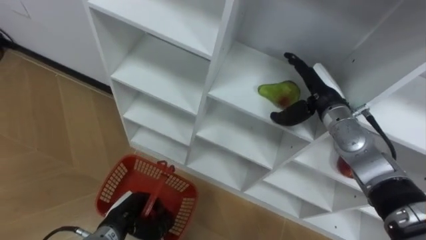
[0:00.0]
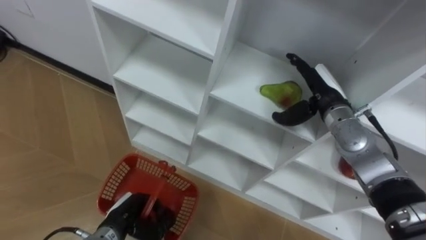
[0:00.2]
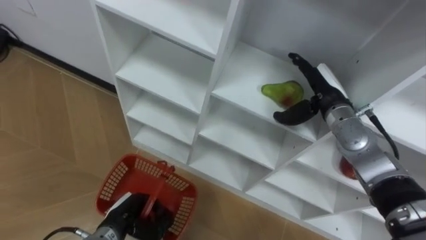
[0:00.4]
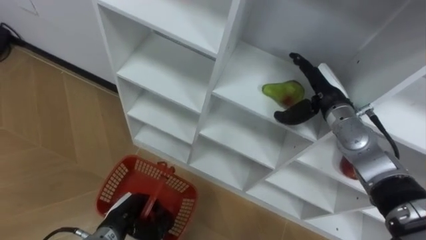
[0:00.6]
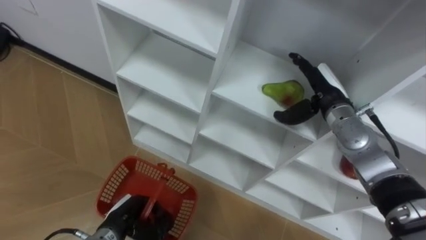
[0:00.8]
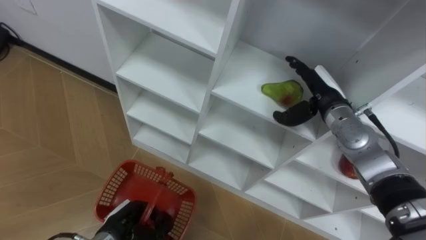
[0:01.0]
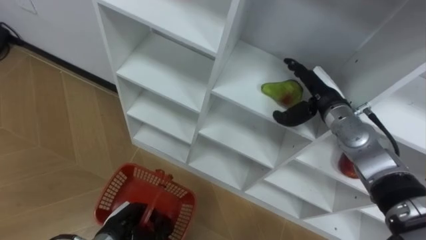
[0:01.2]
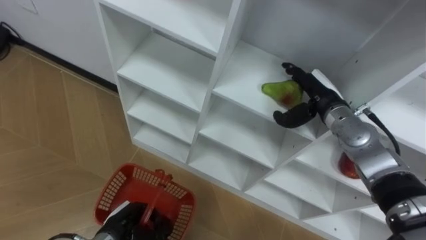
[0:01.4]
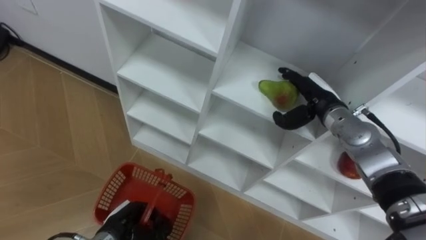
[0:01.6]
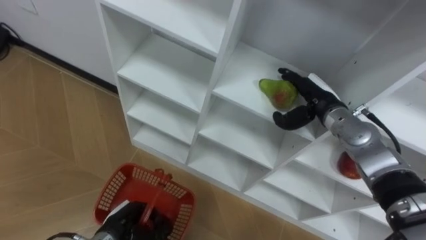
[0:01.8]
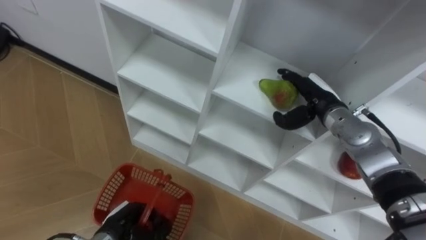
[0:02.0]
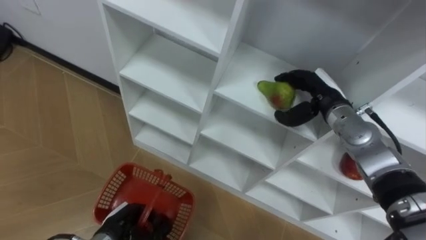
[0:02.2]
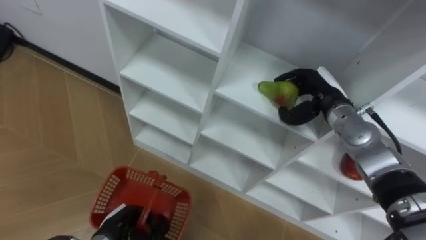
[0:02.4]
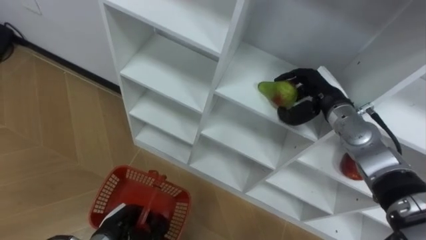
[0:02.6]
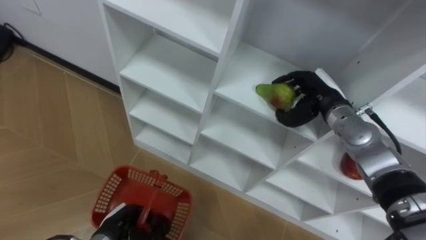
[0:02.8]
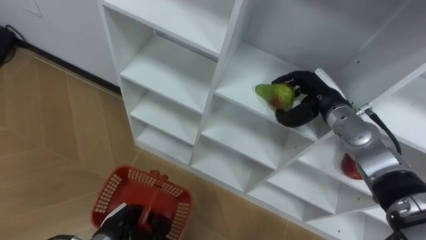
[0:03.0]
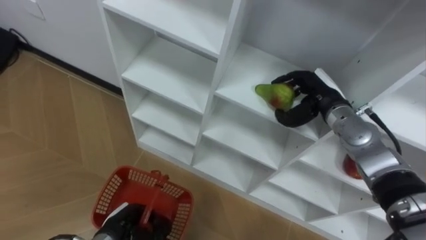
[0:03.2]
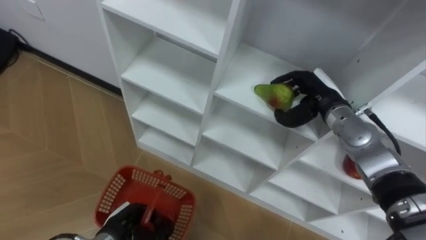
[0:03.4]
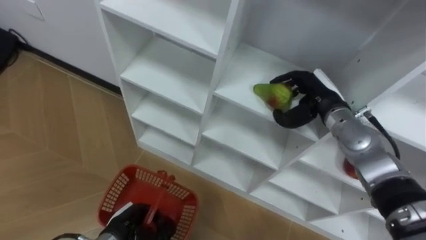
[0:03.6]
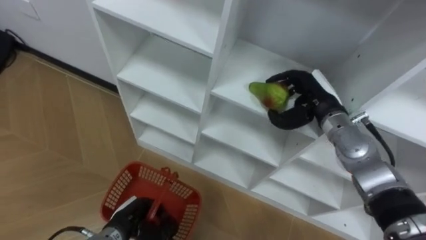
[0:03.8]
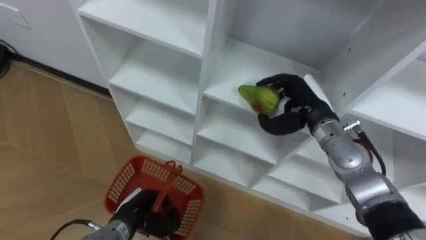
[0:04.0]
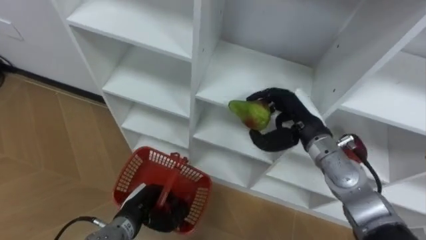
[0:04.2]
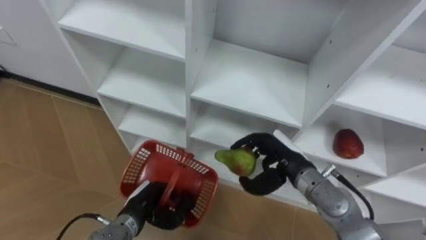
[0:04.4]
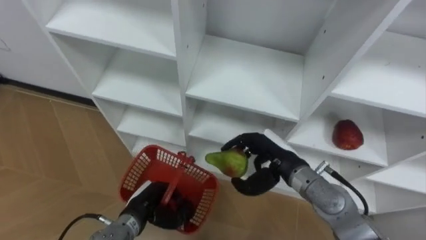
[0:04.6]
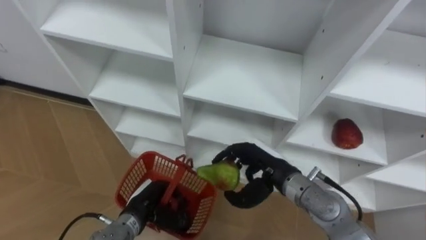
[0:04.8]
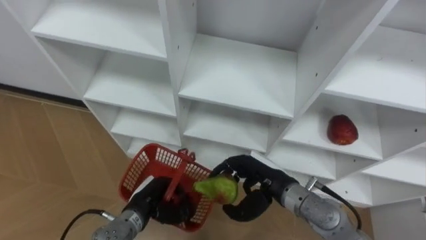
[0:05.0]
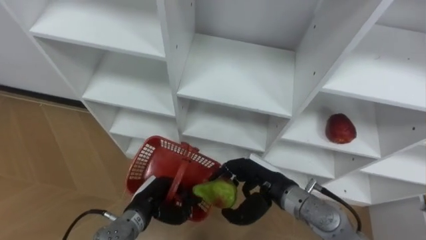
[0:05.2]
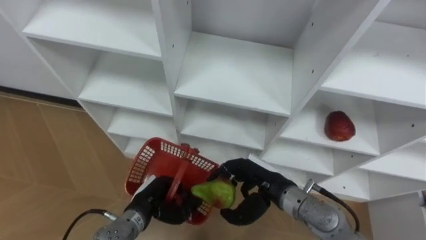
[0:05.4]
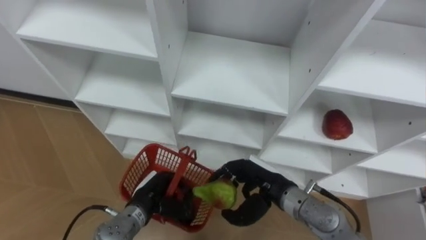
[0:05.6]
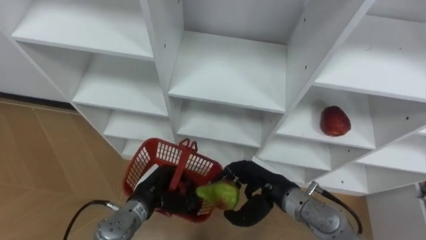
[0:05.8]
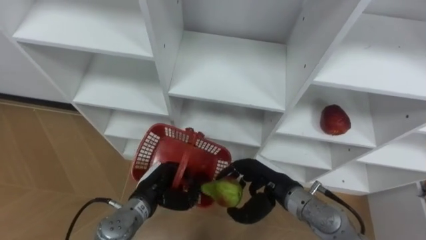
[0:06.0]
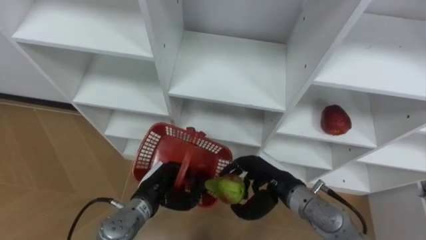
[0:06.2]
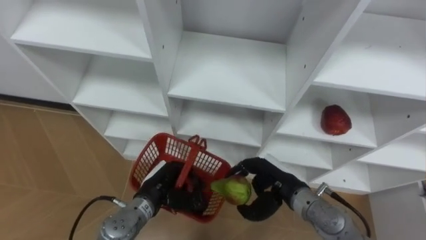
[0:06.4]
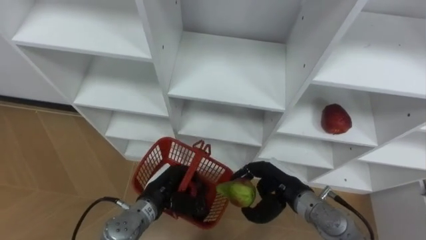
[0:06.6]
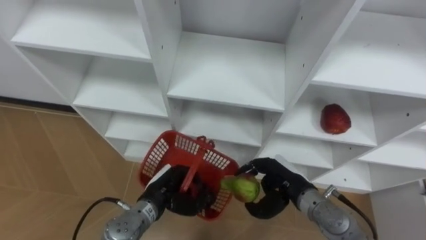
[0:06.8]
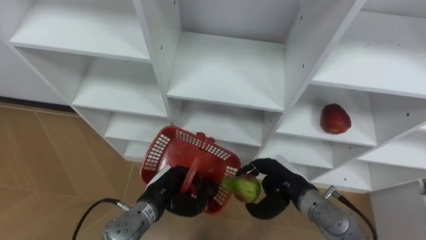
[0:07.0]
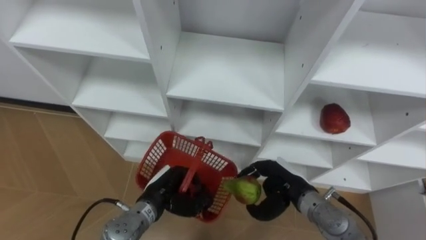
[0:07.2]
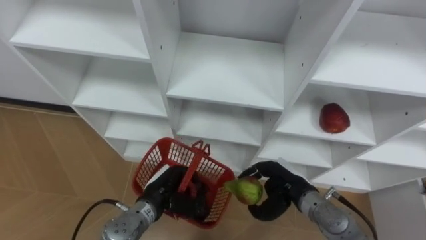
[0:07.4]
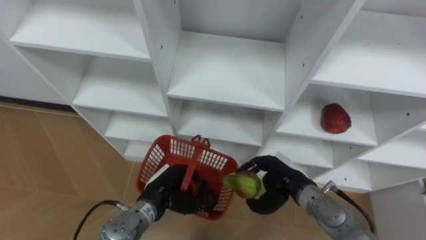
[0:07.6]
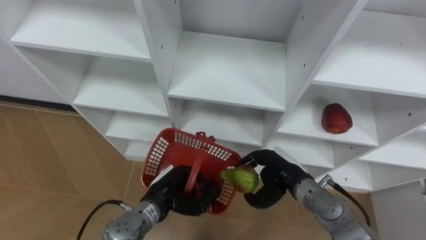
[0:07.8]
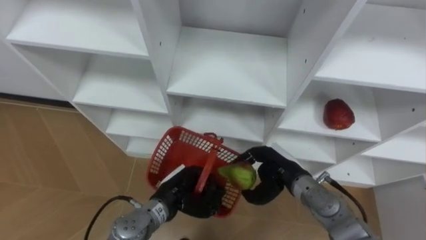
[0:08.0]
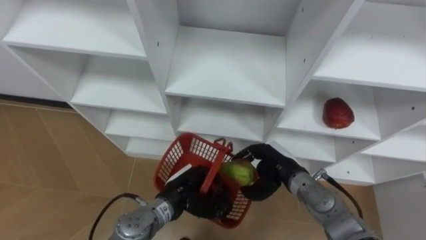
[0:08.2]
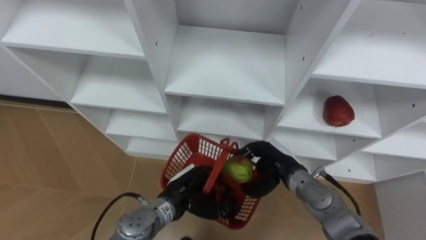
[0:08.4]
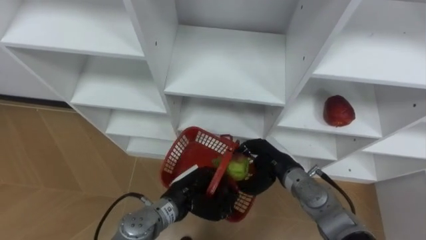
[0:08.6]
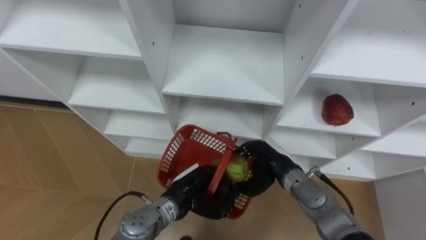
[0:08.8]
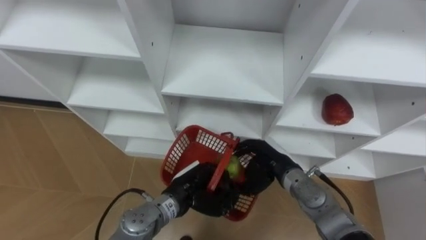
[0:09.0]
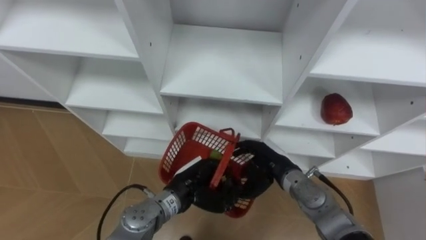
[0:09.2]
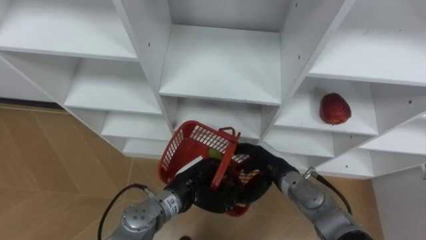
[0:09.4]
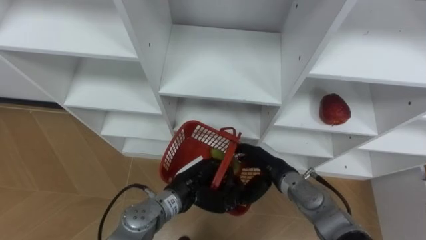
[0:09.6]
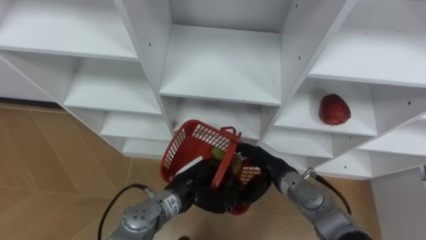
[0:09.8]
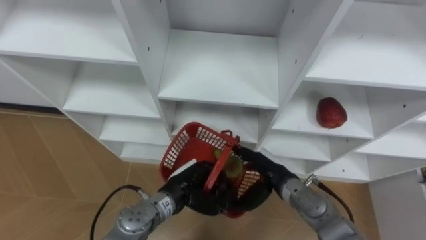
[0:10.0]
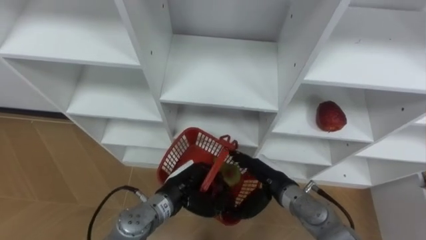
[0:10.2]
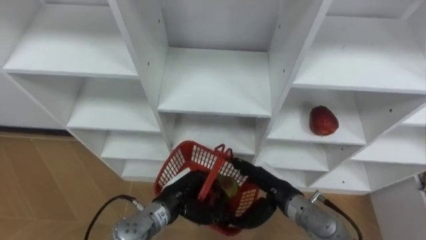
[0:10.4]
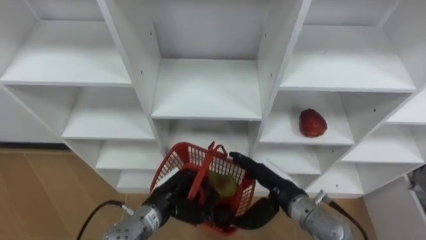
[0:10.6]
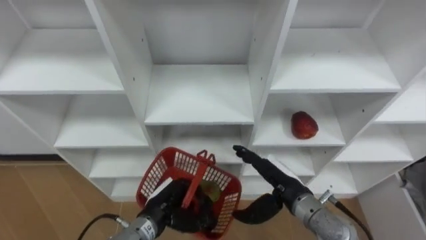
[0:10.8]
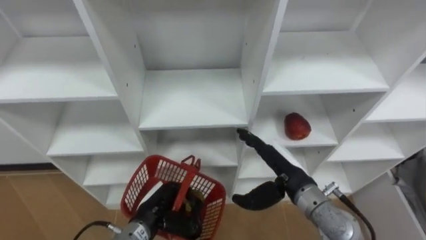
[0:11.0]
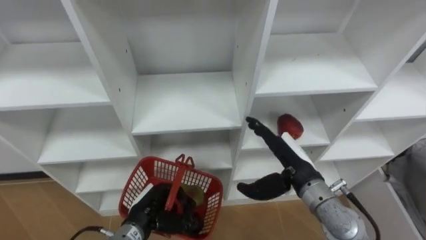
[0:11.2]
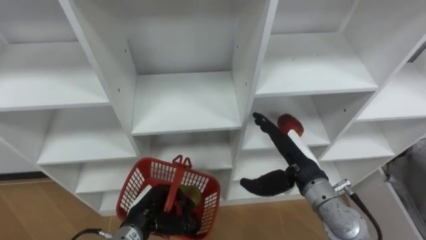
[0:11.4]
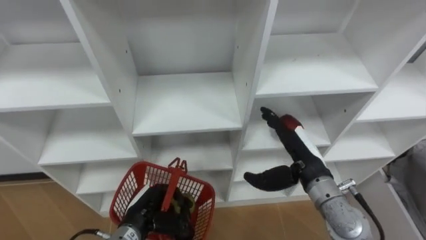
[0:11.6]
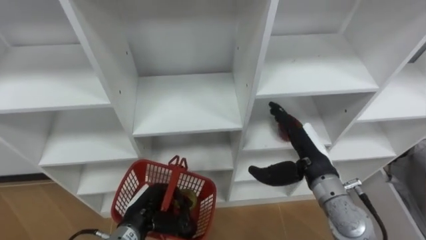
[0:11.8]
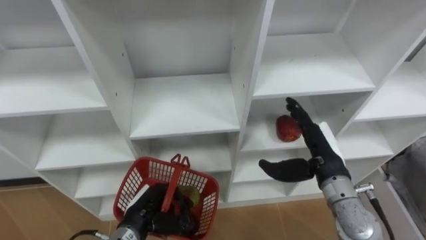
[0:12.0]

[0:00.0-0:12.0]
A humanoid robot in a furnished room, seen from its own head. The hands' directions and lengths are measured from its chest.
Task of the whole recording: Hold the basket and collect the fruits from 3 different cells of the closet into it.
0:01.6 to 0:03.0: The right hand closes.
0:03.0 to 0:04.4: The right hand is displaced backward and to the left by roughly 10 cm. Meanwhile the left hand shifts by some 5 cm.
0:04.4 to 0:06.0: The right hand shifts by about 5 cm. The left hand shifts by roughly 5 cm.
0:06.0 to 0:07.6: The hands move only a little.
0:07.6 to 0:09.0: The left hand goes approximately 5 cm to the right.
0:09.0 to 0:10.4: The right hand opens up.
0:10.4 to 0:12.0: The right hand travels upward and to the right by roughly 10 cm, while the left hand shifts about 5 cm to the left.

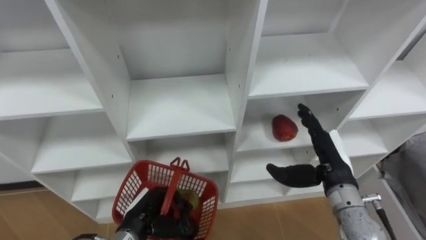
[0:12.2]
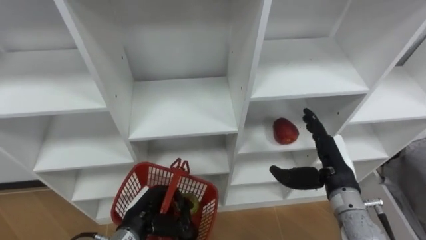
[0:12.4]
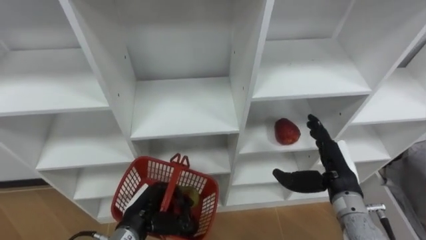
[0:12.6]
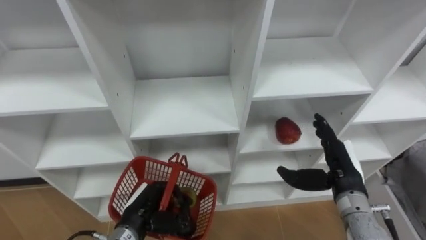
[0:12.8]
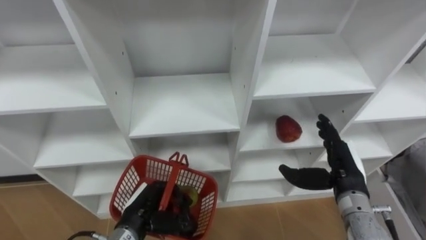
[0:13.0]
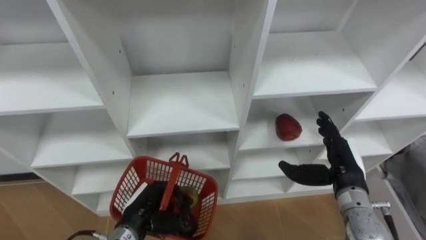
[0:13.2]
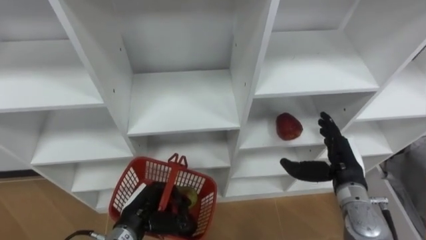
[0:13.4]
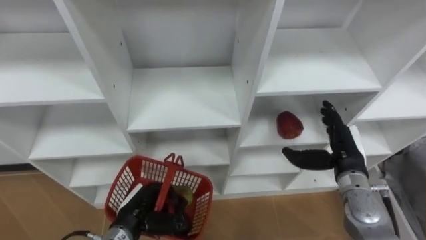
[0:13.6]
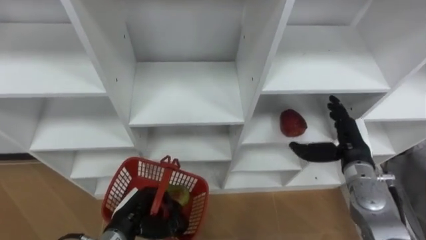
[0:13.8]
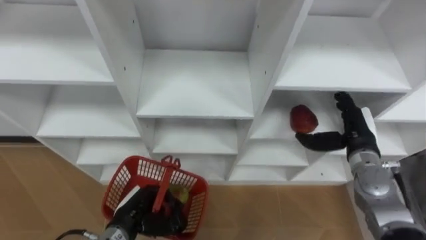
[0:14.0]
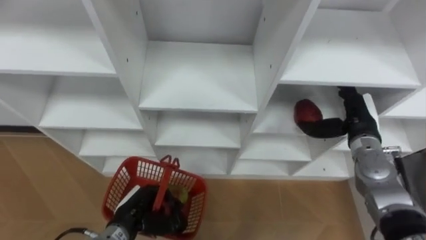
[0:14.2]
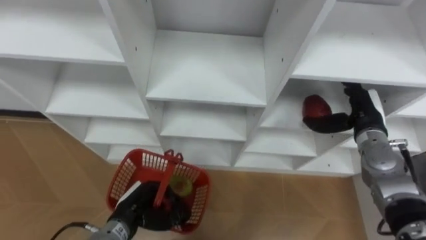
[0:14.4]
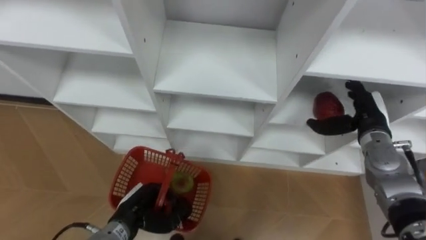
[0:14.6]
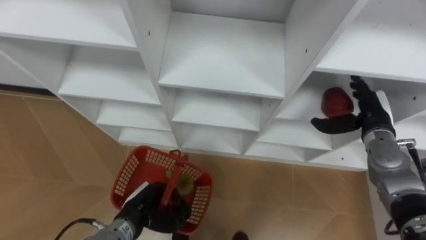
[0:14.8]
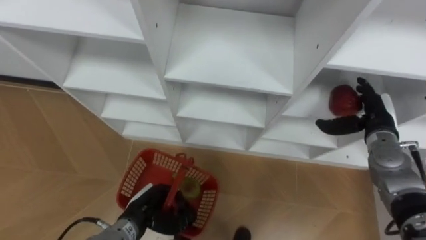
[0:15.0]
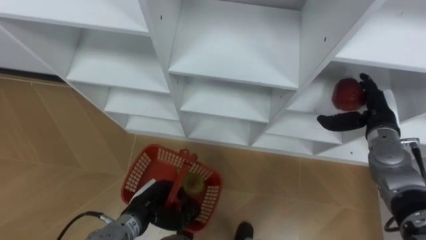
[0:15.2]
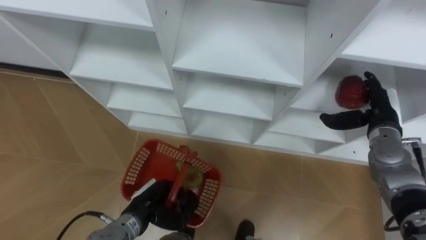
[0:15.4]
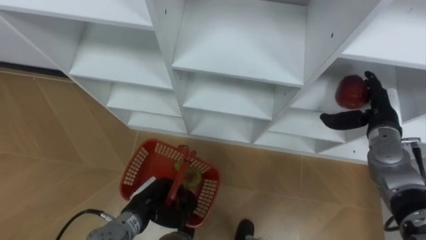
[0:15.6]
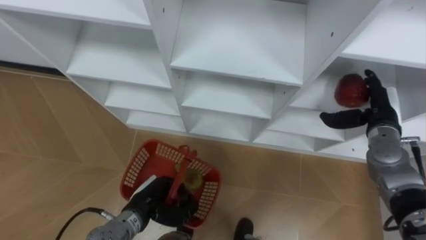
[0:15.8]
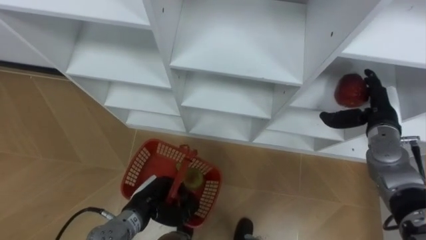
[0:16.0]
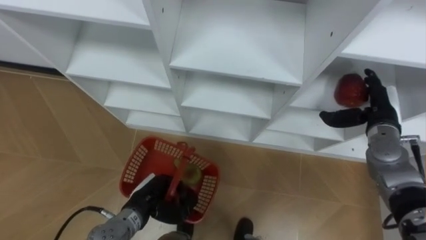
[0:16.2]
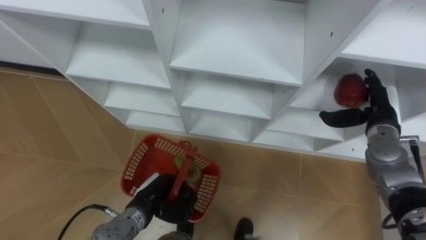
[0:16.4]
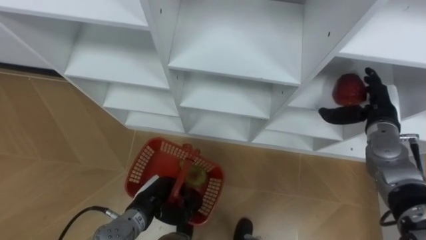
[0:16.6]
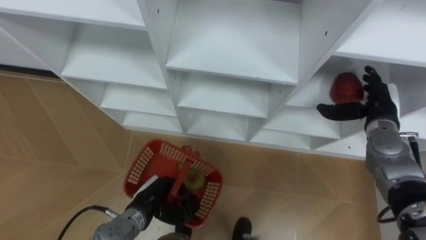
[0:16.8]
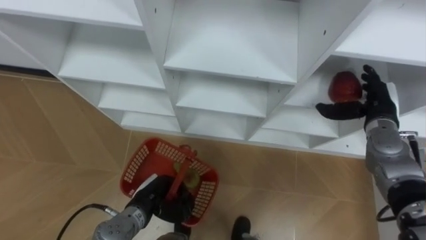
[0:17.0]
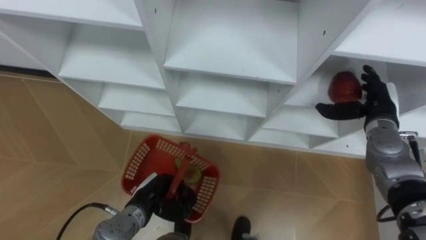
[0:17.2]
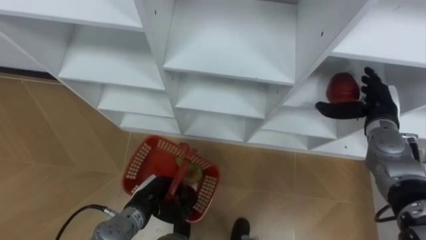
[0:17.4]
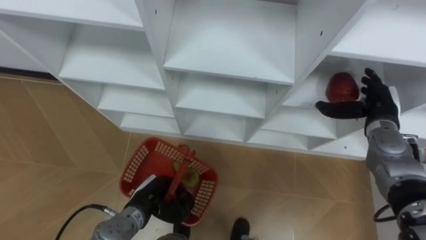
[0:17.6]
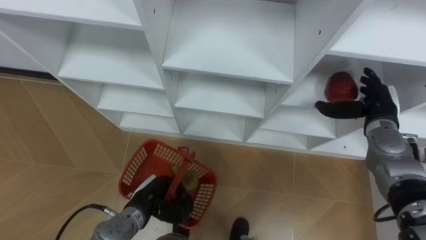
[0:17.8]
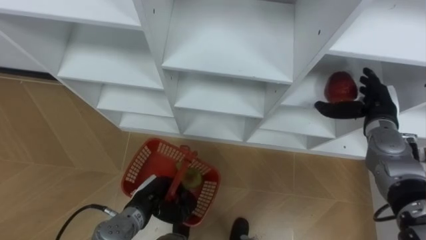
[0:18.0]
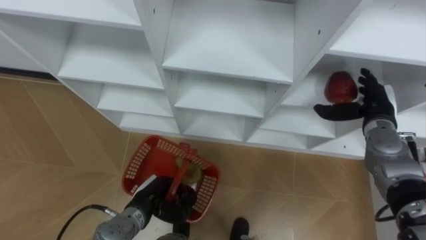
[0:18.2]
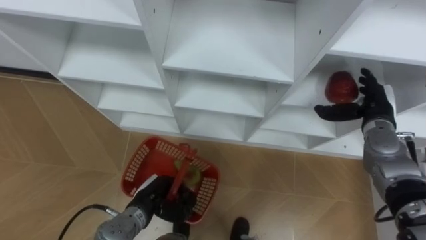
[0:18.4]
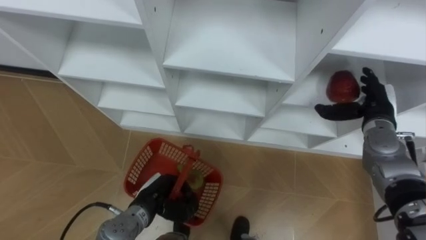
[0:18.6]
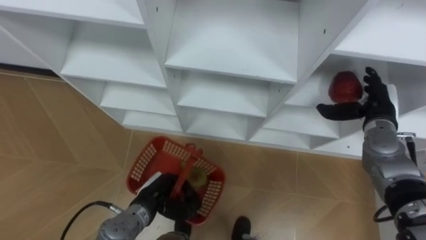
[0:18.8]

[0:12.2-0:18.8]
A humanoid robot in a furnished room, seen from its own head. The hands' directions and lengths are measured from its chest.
Task of the whole recording: Hold the basket and collect the fruits from 3 different cells of the closet into it.
0:12.2 to 0:13.8: The right hand is displaced to the right by roughly 5 cm.
0:13.8 to 0:15.4: The right hand heads forward and to the right, covering about 10 cm.
0:17.2 to 0:18.8: There are only small adjustments of the hands.
